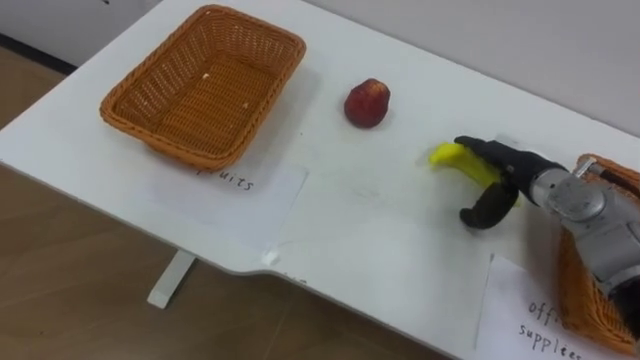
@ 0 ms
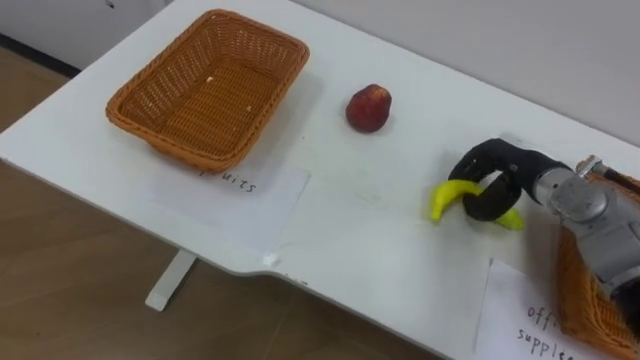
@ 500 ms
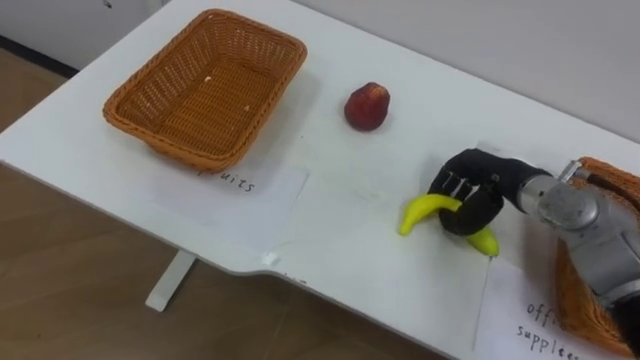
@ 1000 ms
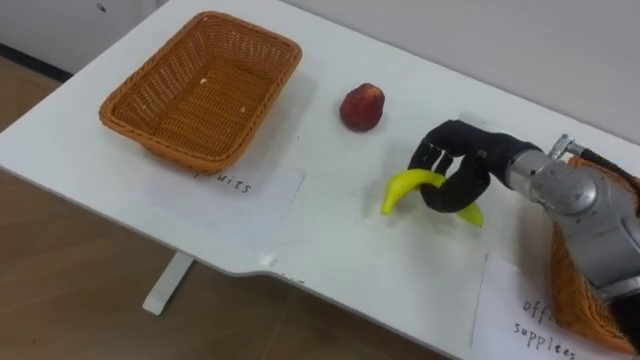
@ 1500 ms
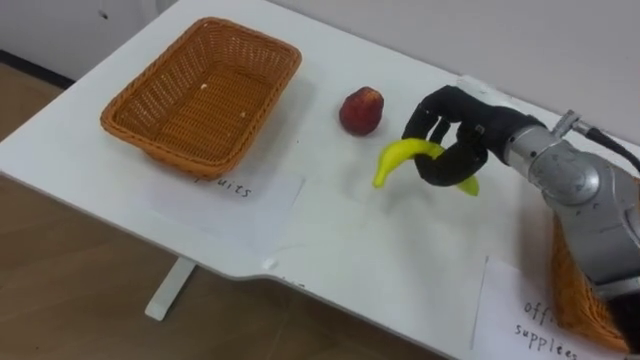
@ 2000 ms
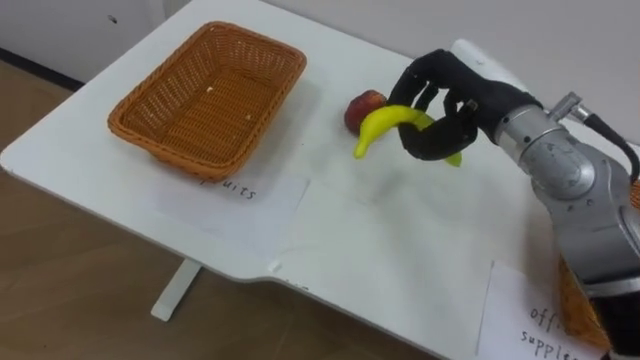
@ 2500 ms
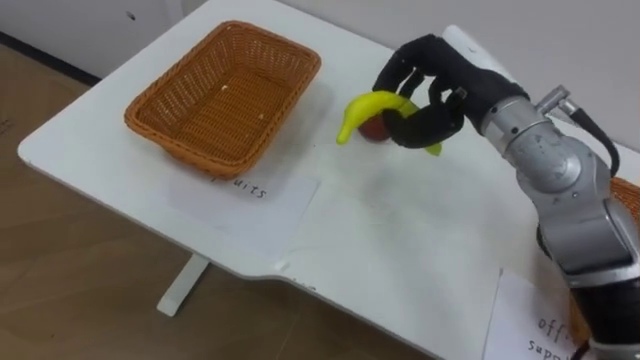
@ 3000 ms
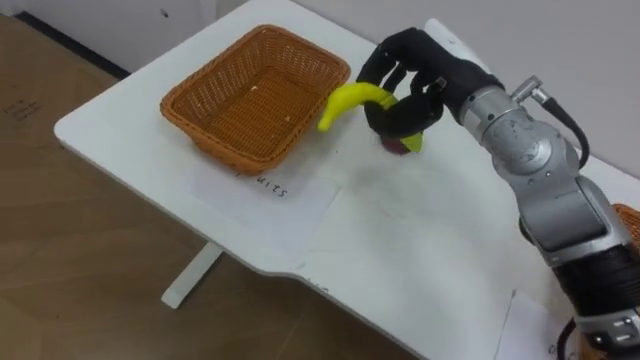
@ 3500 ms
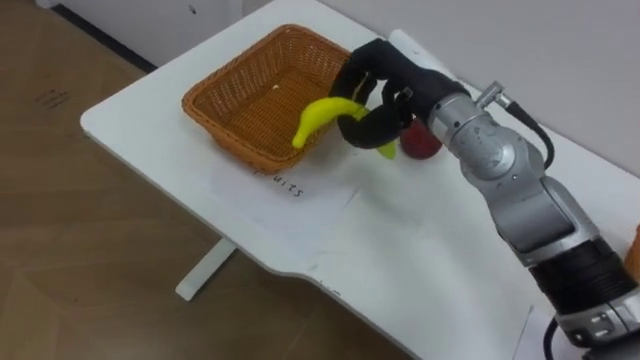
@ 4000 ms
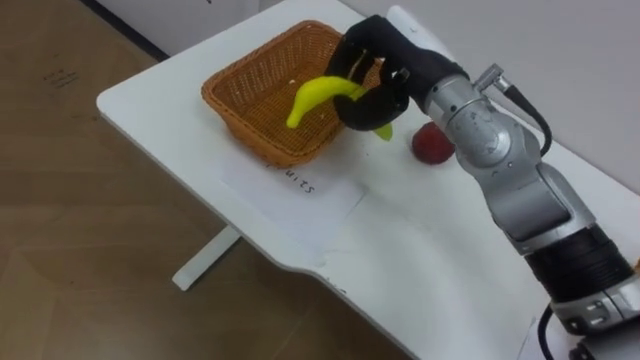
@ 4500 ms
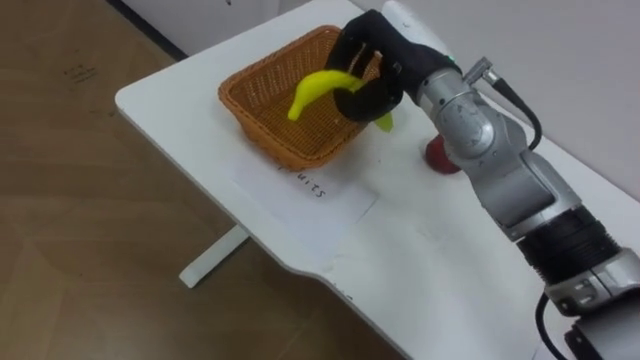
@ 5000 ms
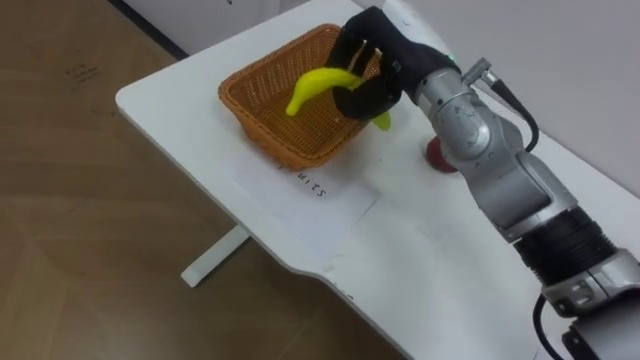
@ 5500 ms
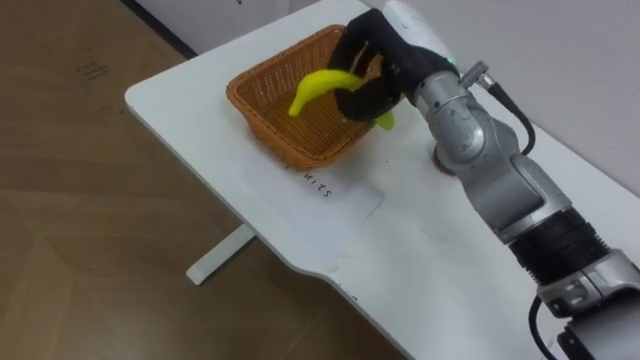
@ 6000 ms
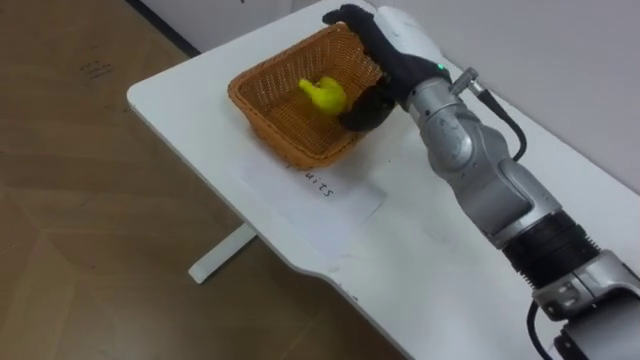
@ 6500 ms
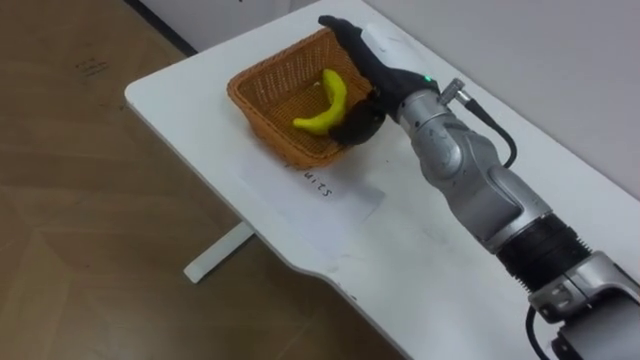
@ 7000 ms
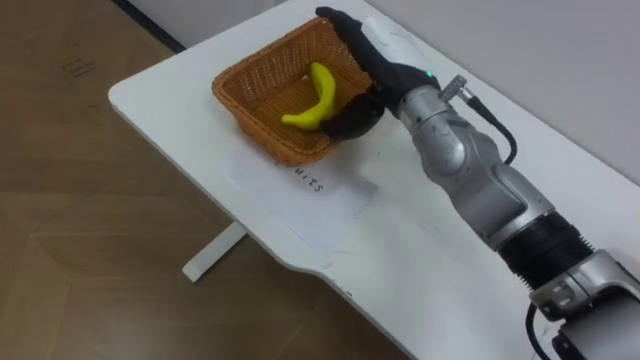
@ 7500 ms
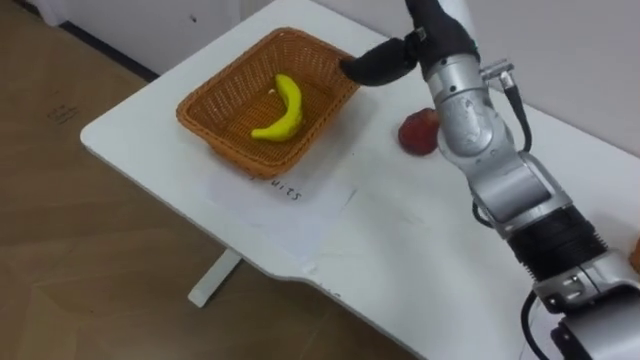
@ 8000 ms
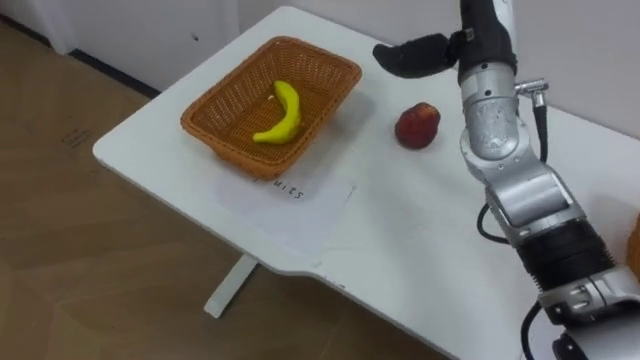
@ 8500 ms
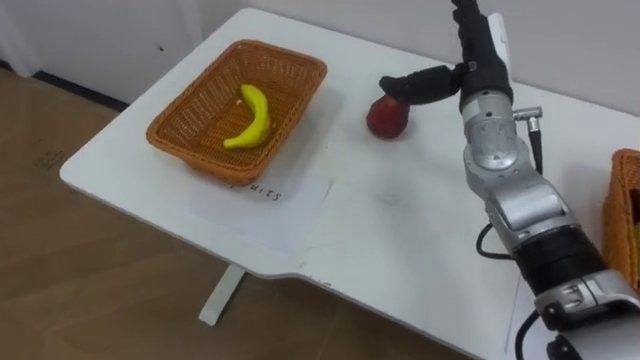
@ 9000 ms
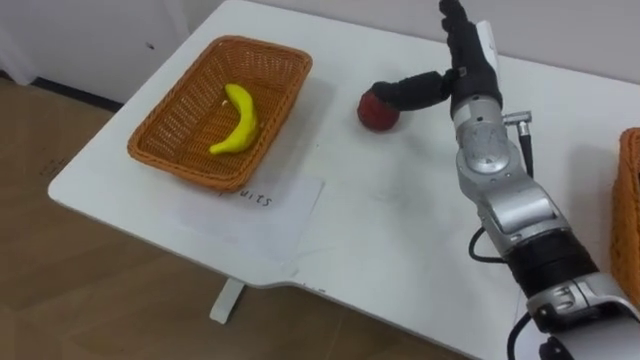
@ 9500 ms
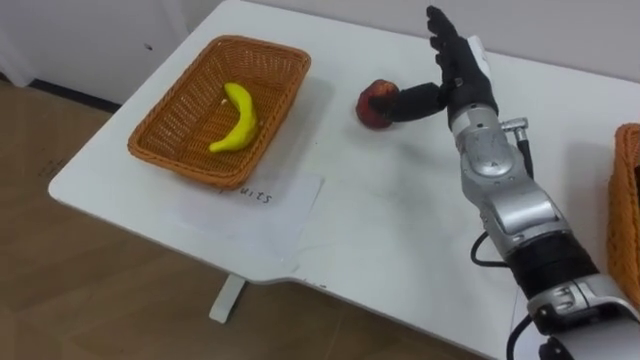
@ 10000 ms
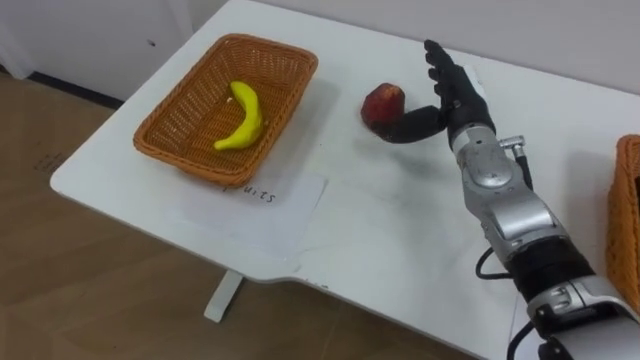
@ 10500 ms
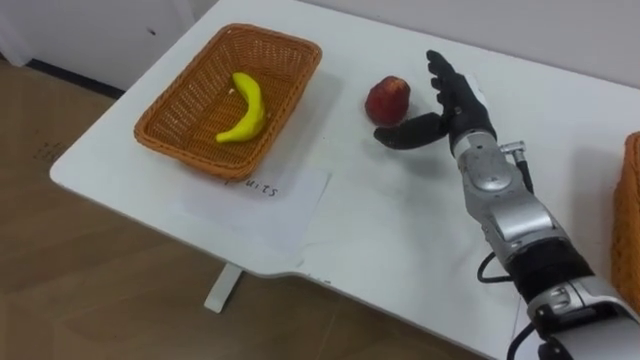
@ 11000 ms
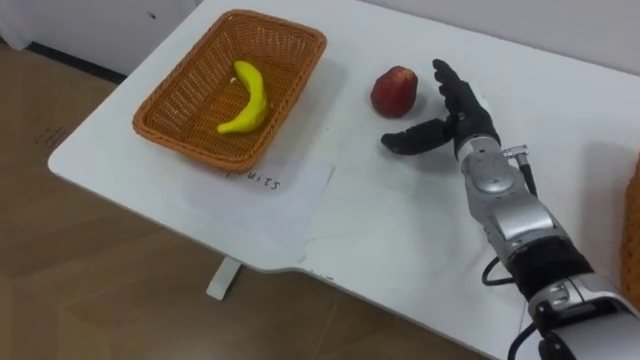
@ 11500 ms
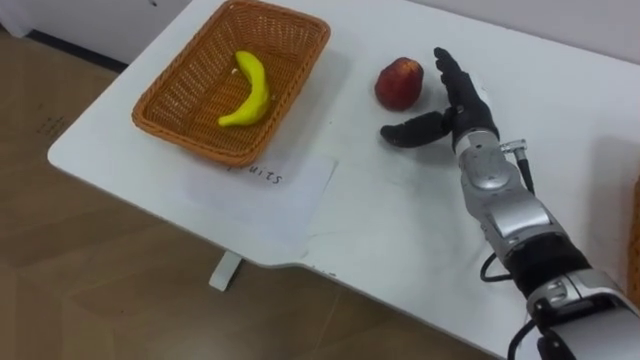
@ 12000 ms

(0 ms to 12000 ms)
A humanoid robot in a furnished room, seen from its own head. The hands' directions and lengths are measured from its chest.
Task of the whole recording: Separate the items on the table and place them into the two baskets.
0 ms - 2000 ms: The right hand heads upward and to the left, covering some 10 cm, and closes up.
2000 ms - 4000 ms: The right hand heads to the left, covering roughly 10 cm.
6000 ms - 8000 ms: The right hand opens up.
8000 ms - 10000 ms: The right hand goes roughly 10 cm downward and to the right.
10000 ms - 12000 ms: The right hand changes place by approximately 5 cm.

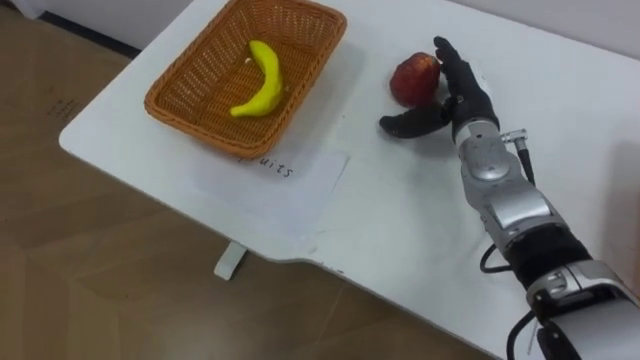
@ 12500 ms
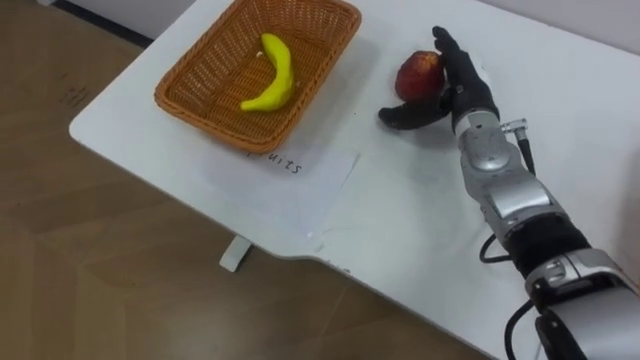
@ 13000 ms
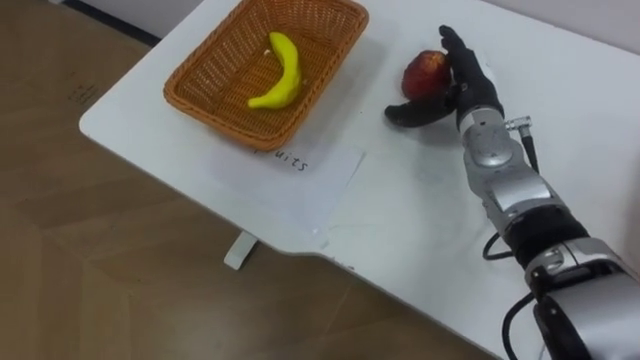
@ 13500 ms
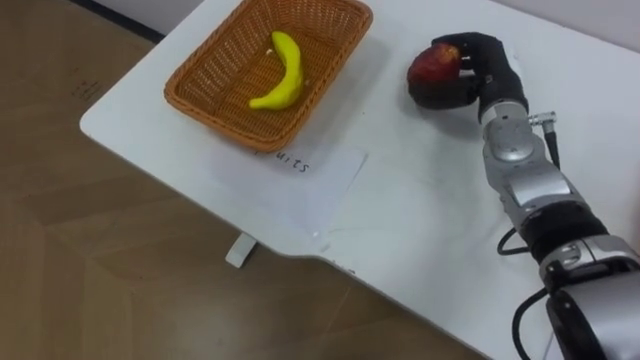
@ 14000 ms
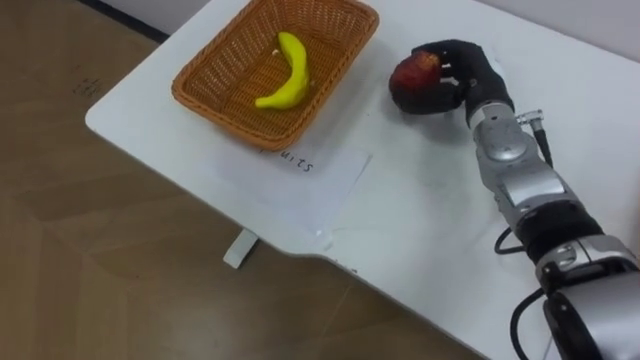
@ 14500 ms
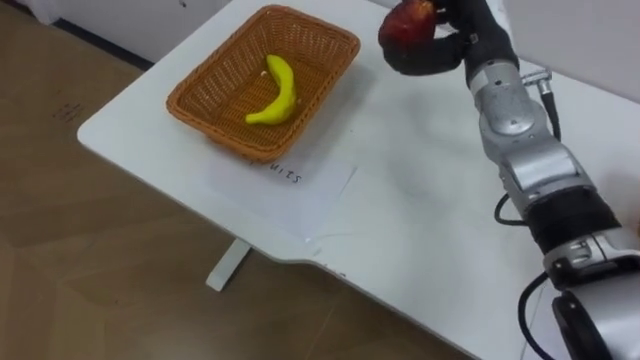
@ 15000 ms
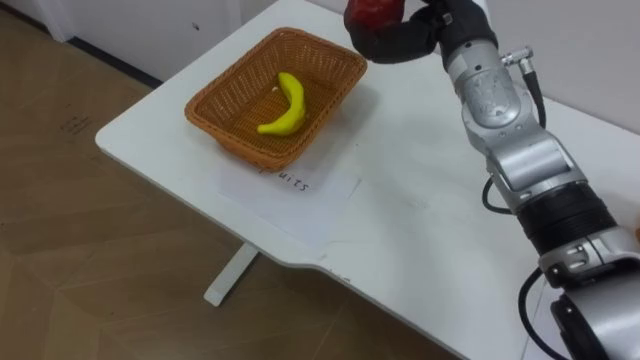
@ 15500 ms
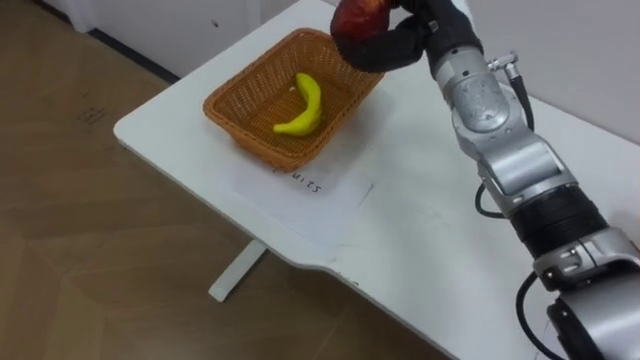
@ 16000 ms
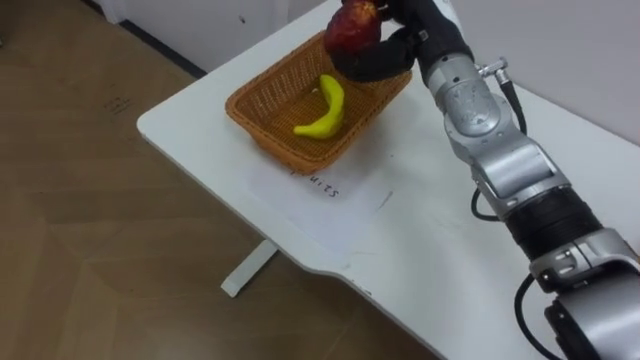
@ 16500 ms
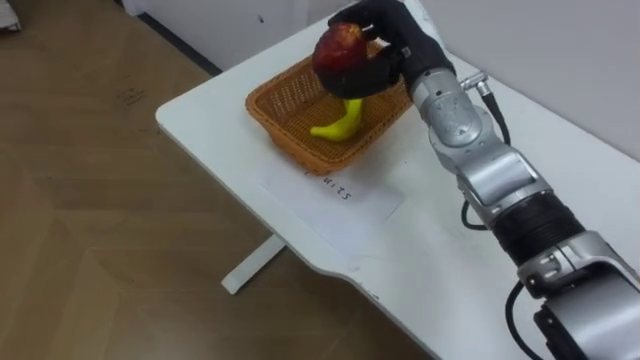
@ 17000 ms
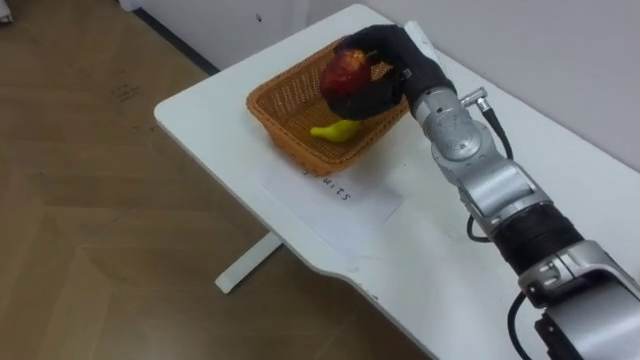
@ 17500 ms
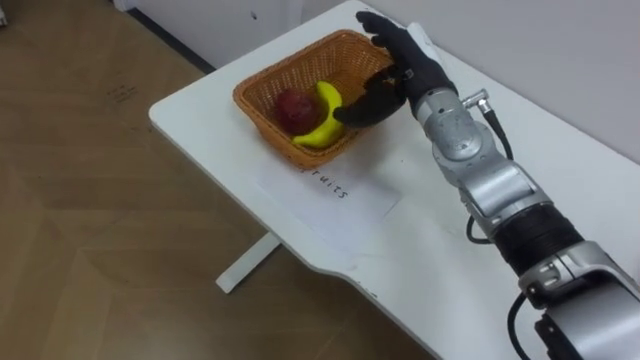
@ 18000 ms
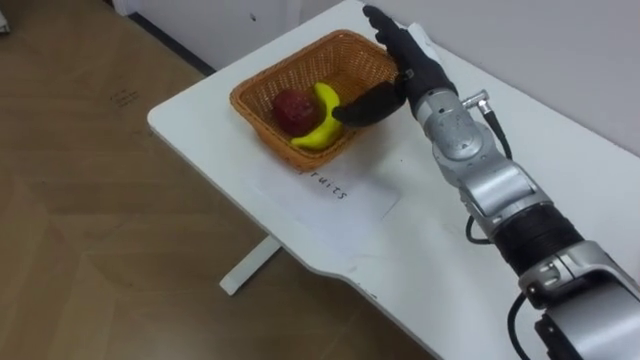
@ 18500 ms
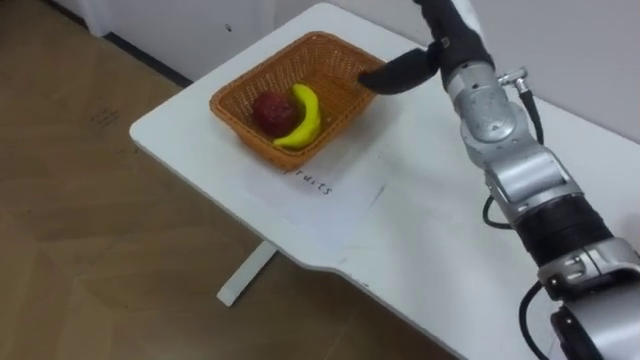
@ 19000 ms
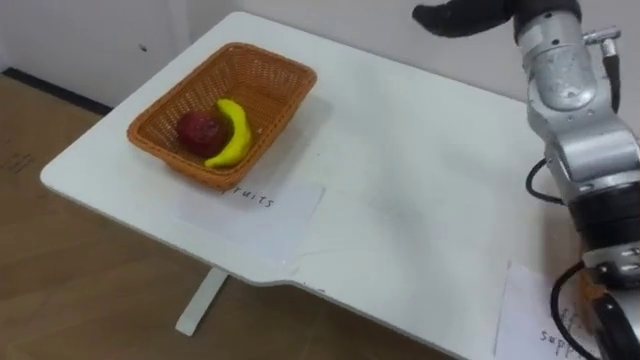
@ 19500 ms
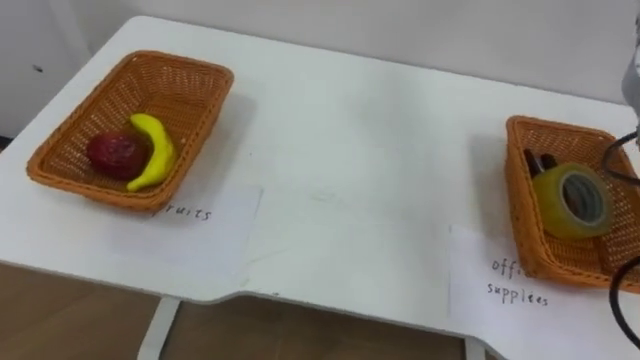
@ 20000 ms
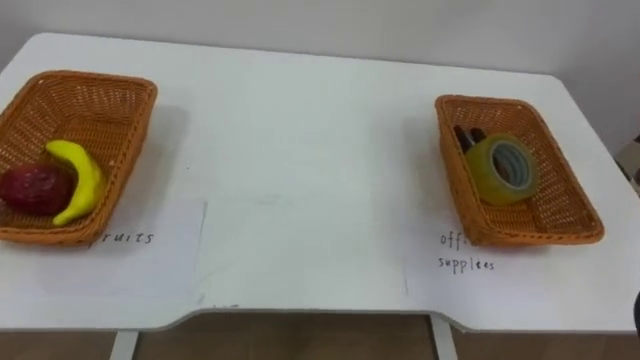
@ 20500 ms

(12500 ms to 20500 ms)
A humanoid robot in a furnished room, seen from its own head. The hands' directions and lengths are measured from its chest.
Task of the whole recording: Separate the items on the table and place them into the two baskets.
12500 ms - 14500 ms: The right hand closes.
14500 ms - 16500 ms: The right hand travels upward and to the left by about 10 cm.
16500 ms - 18500 ms: The right hand opens.
